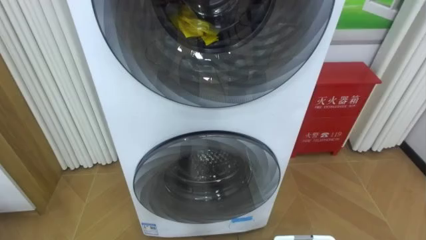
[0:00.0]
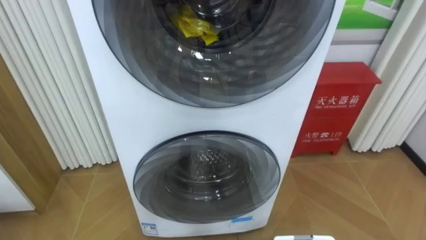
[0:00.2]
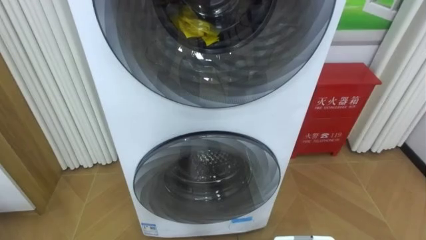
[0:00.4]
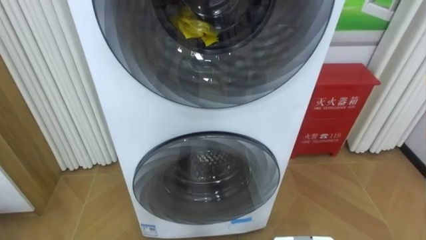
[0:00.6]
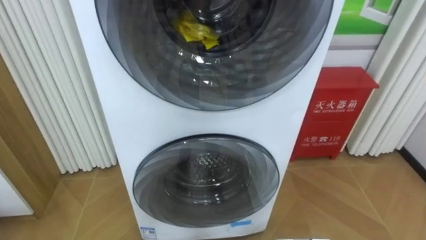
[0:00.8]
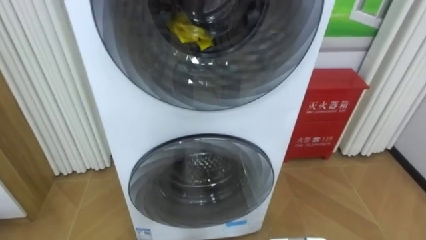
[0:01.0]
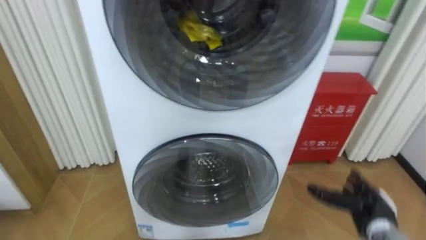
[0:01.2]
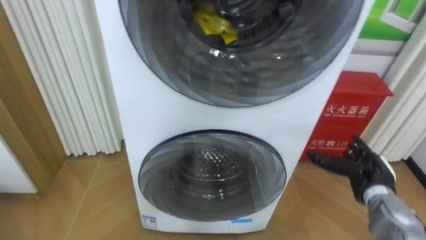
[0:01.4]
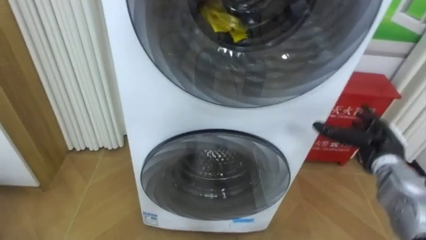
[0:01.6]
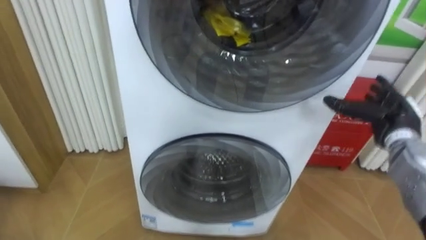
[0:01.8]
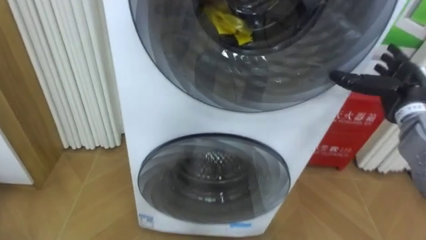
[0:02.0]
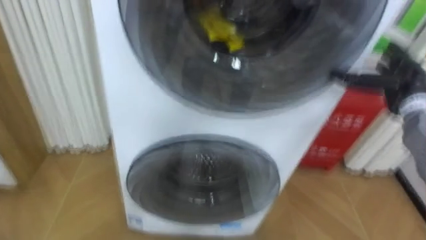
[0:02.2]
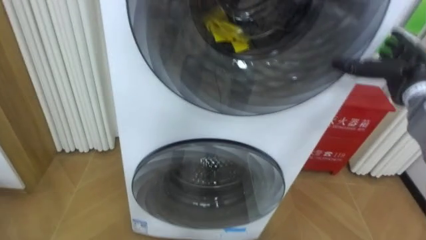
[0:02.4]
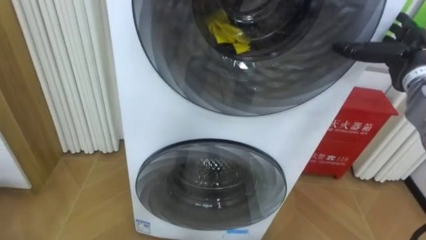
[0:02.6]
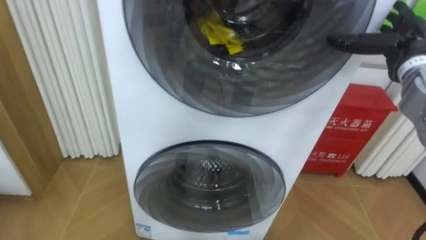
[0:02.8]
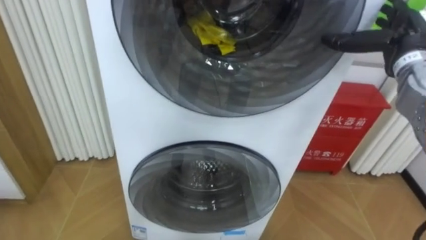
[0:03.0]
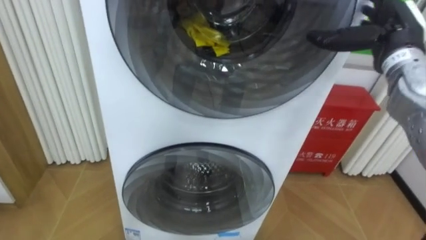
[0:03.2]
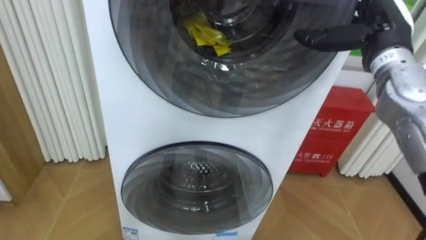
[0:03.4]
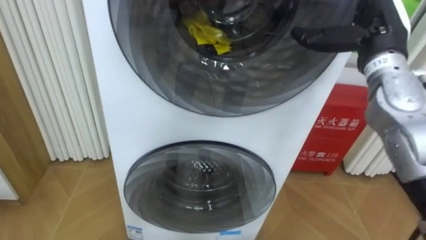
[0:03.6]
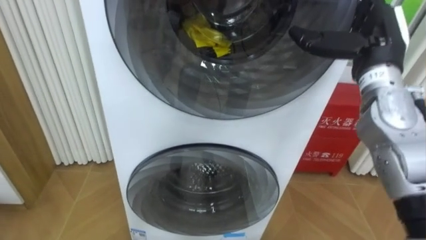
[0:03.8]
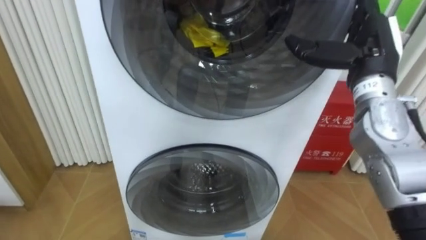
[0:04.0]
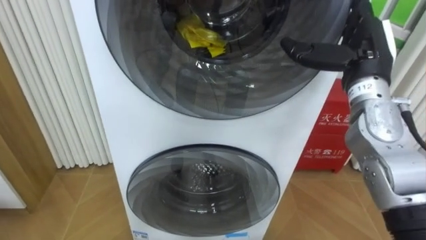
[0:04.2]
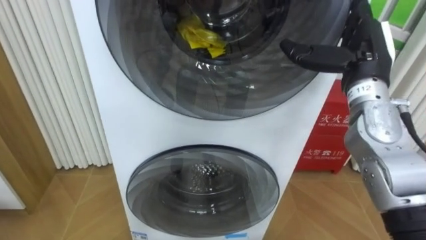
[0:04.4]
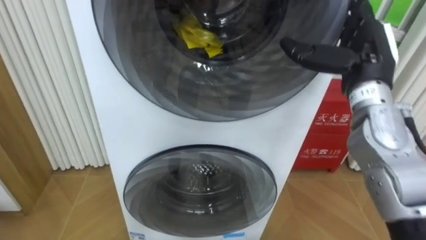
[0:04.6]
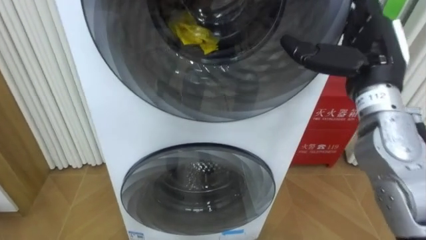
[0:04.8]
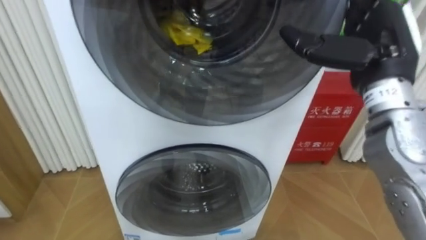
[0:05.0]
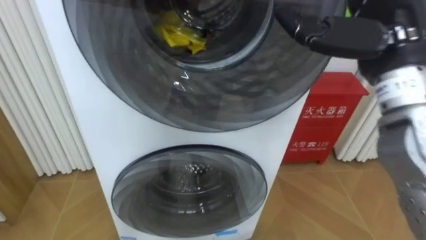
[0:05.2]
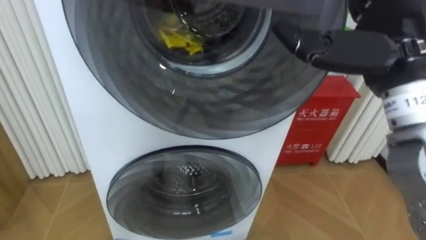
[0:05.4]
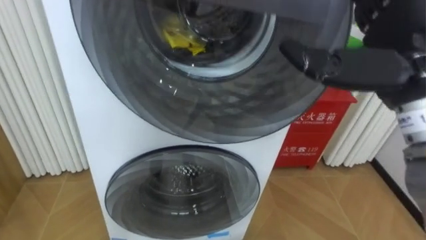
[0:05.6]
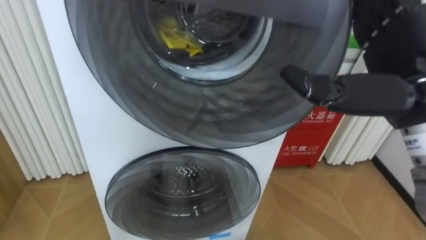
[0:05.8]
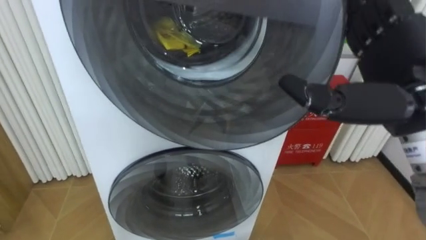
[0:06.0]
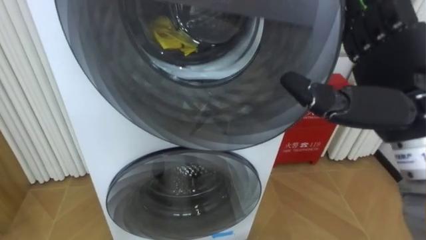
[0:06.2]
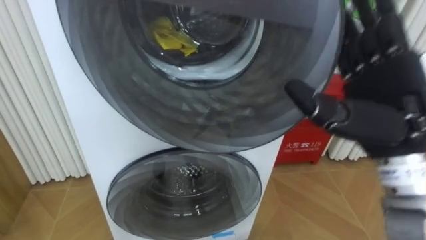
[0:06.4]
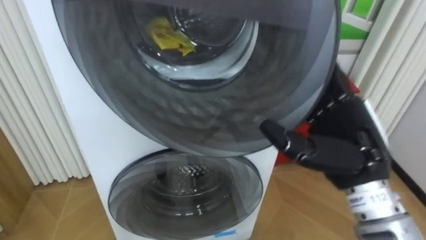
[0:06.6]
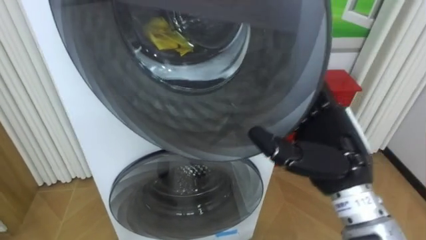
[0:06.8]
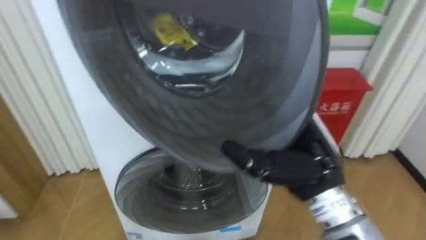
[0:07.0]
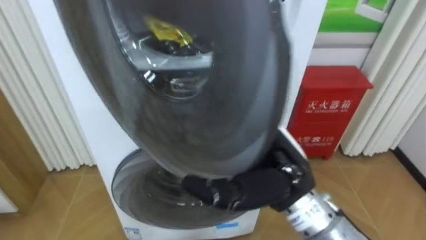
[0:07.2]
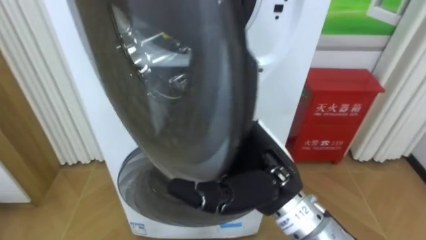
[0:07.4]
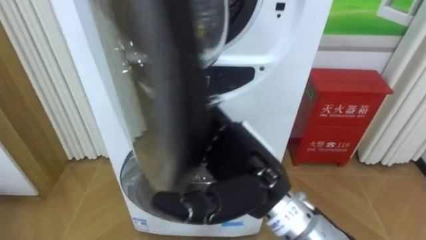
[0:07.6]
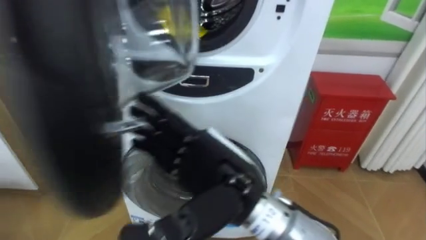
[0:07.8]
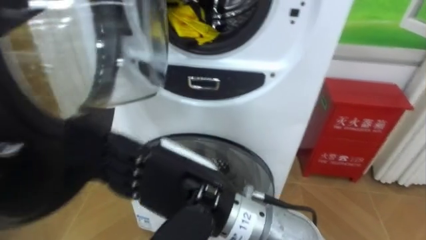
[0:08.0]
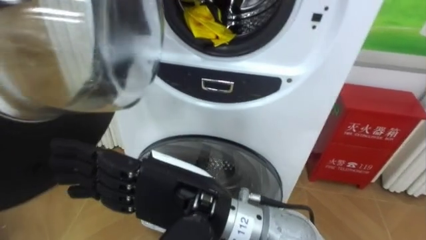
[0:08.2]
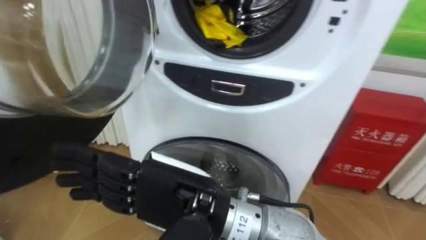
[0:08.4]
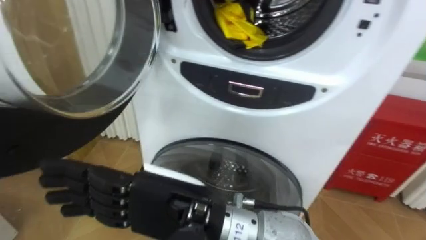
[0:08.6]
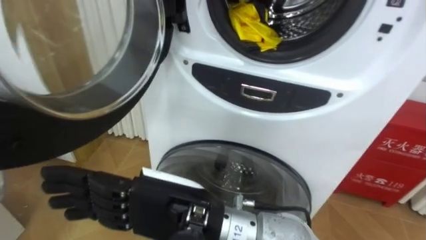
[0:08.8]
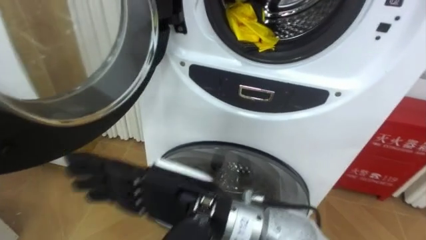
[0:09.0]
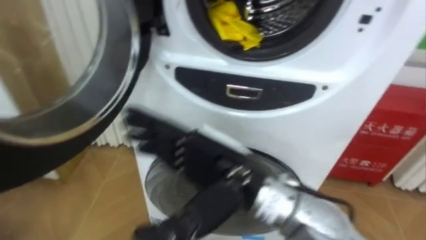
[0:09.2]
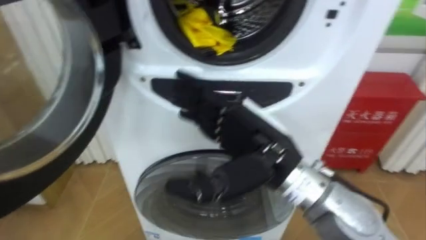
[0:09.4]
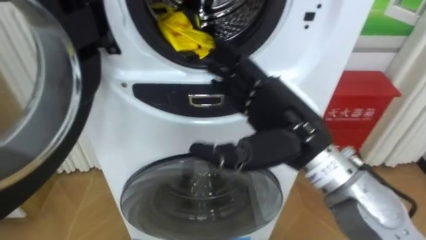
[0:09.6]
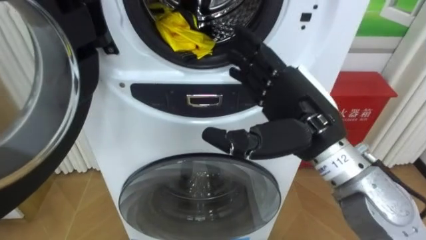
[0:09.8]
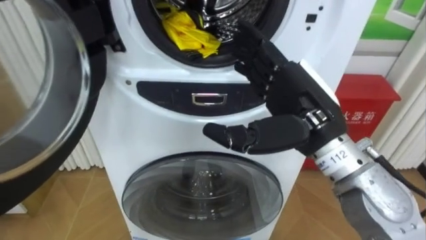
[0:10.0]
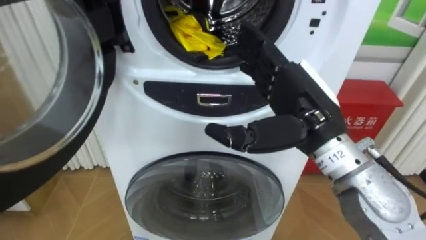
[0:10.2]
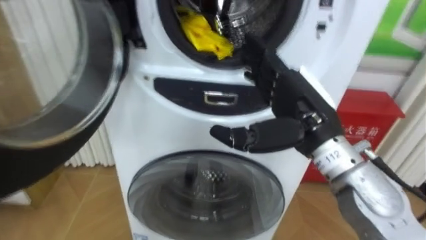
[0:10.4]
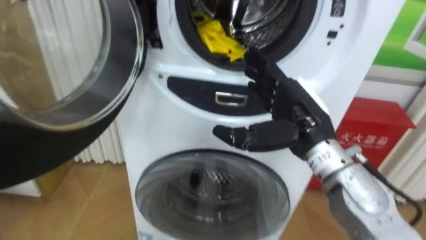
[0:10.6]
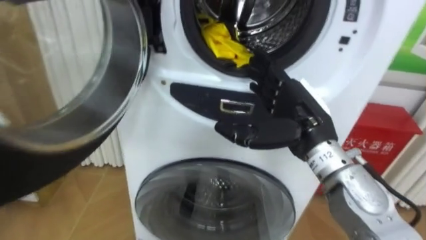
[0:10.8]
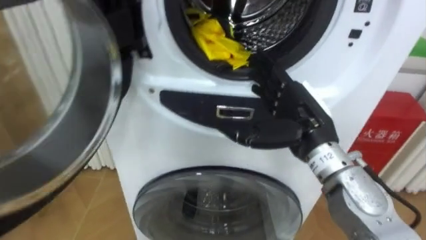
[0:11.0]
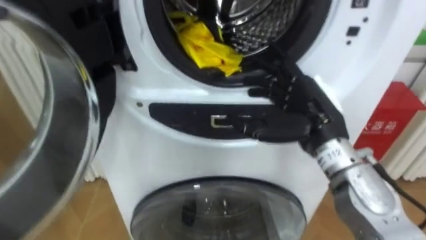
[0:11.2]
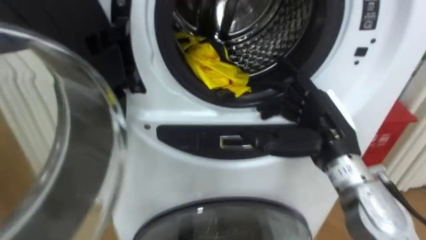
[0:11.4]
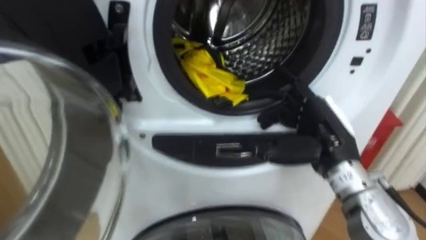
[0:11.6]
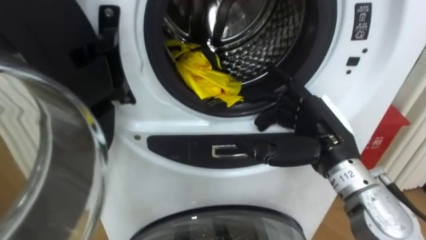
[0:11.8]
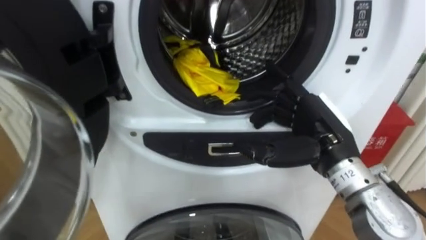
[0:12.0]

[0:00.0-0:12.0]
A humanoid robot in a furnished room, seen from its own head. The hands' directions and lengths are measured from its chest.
Task of the whole recording: Open the washing machine door, take out the yellow clothes, place them in the box on the right, and close the washing machine door.
0:01.6 to 0:03.0: The right hand heads upward, covering some 20 cm.
0:03.0 to 0:04.4: The right hand heads to the left, covering about 5 cm.
0:04.4 to 0:06.0: The right hand heads backward, covering some 10 cm.
0:06.0 to 0:07.6: The right hand moves to the left and downward, roughly 20 cm.
0:07.6 to 0:09.0: The right hand moves to the left, about 10 cm.
0:09.0 to 0:10.4: The right hand is displaced to the right and forward by approximately 20 cm.
0:10.4 to 0:12.0: The right hand shifts by about 5 cm.

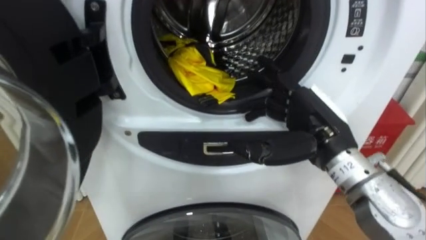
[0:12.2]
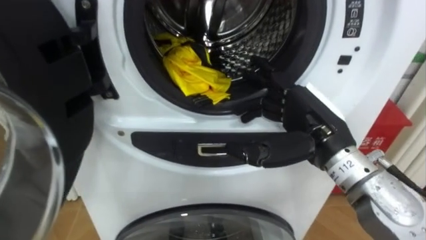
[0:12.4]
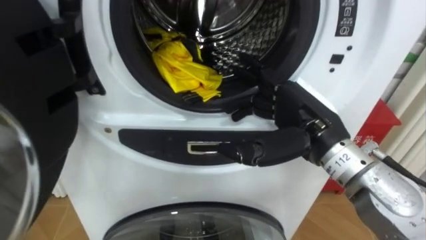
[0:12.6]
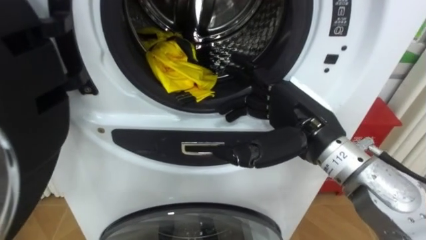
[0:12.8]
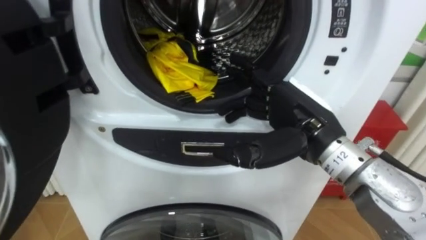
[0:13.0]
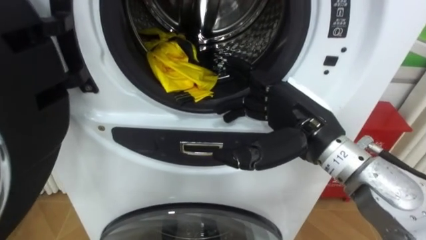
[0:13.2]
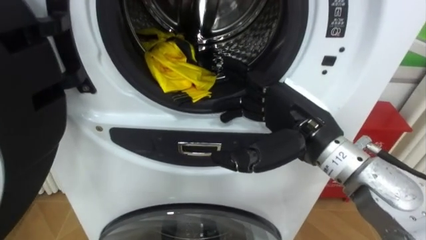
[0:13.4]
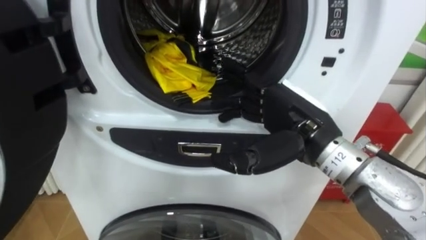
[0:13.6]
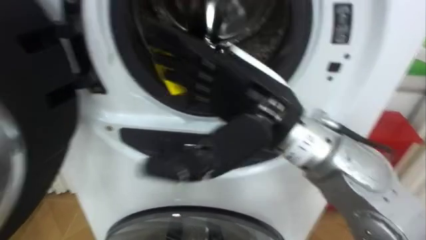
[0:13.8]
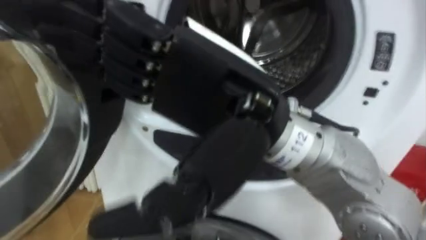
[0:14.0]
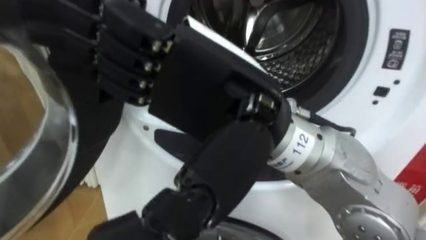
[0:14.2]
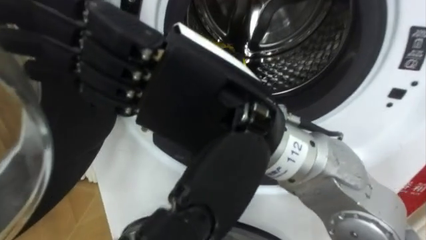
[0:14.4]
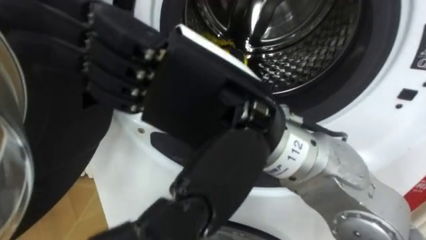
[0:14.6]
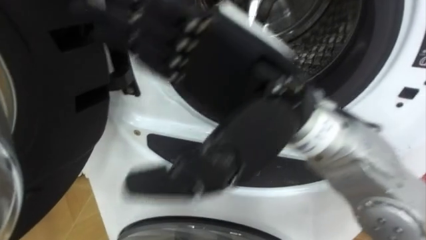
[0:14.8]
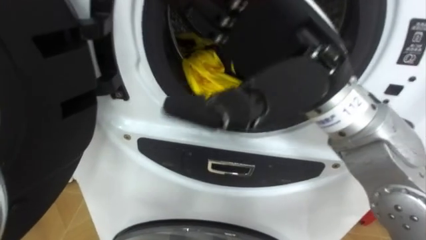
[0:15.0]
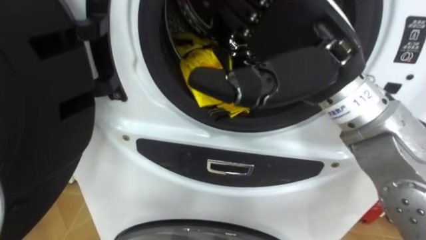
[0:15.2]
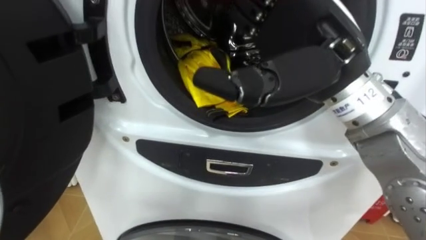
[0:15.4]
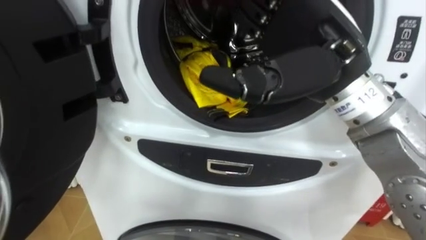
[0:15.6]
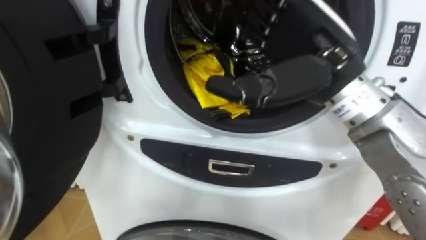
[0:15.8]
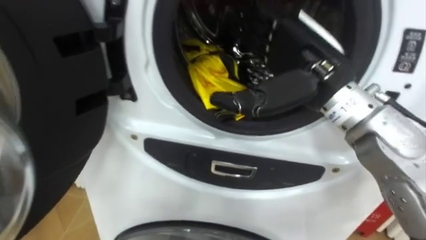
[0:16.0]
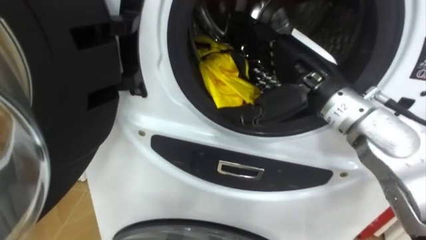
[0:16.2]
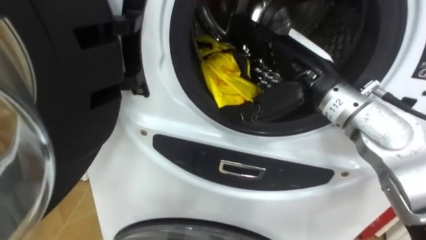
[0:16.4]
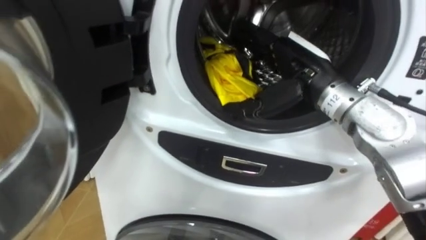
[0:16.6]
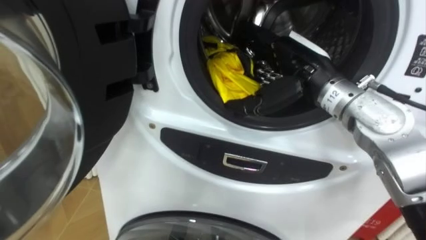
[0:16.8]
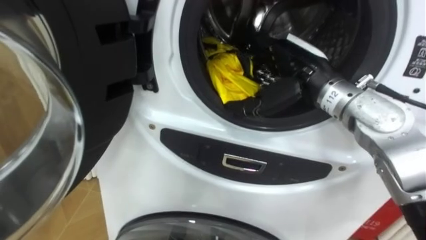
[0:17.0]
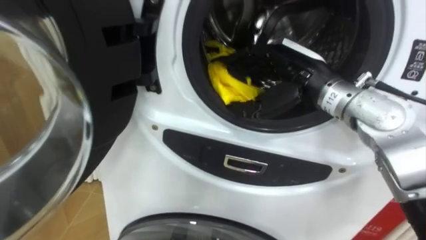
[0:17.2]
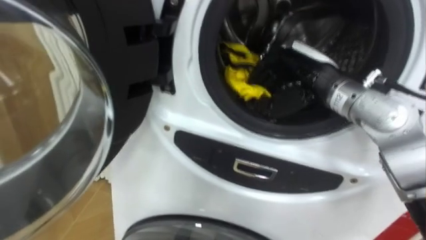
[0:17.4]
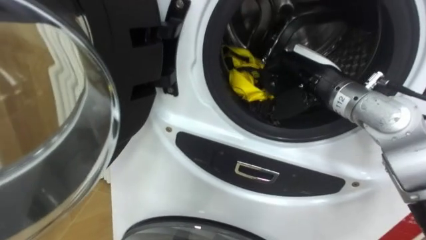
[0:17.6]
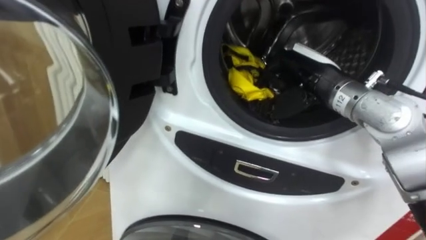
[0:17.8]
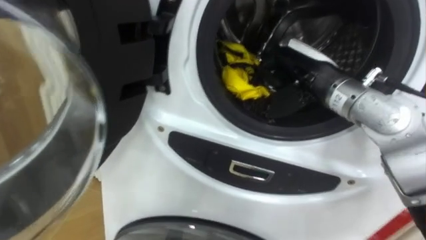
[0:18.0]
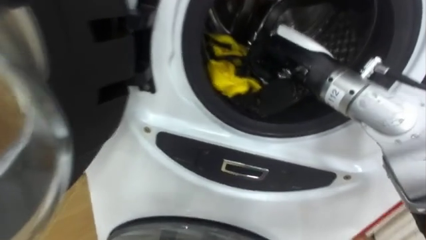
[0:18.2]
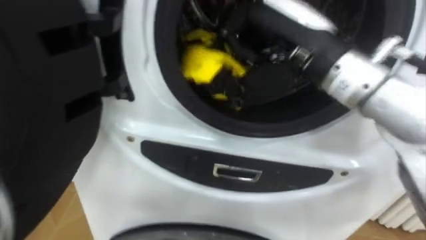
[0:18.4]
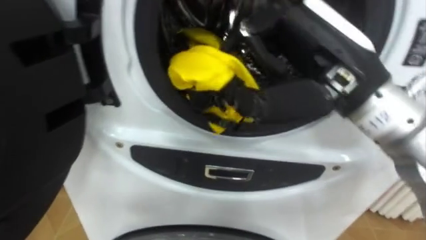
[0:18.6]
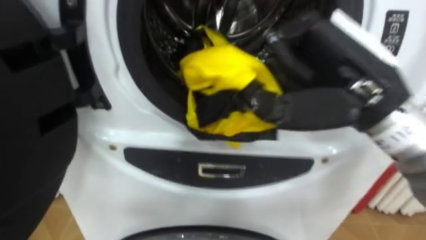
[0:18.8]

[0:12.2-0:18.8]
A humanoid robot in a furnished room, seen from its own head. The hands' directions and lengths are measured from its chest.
Task of the whole recording: Open the washing machine door, take out the yellow clothes, place them in the box on the right, and close the washing machine door.
0:12.2 to 0:13.8: The right hand goes about 15 cm to the left and upward.
0:13.8 to 0:15.4: The right hand is displaced to the right by about 5 cm.
0:15.4 to 0:17.2: The right hand moves downward and forward, about 15 cm.
0:17.2 to 0:18.8: The right hand shifts approximately 15 cm backward and upward, and closes.
